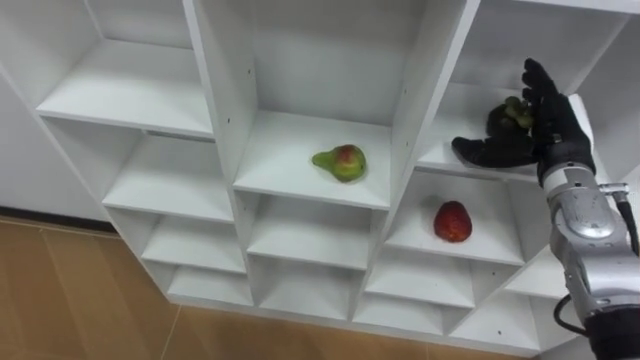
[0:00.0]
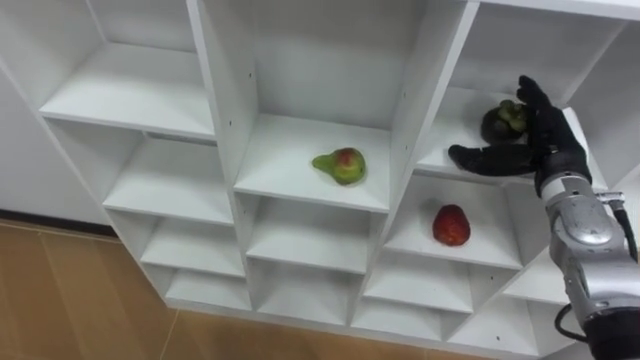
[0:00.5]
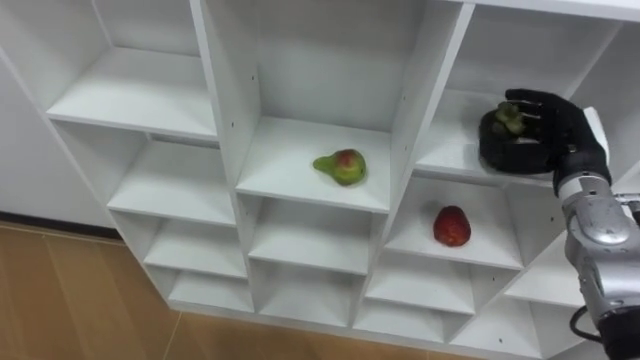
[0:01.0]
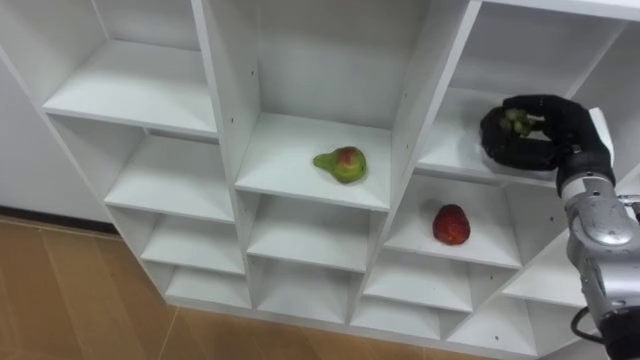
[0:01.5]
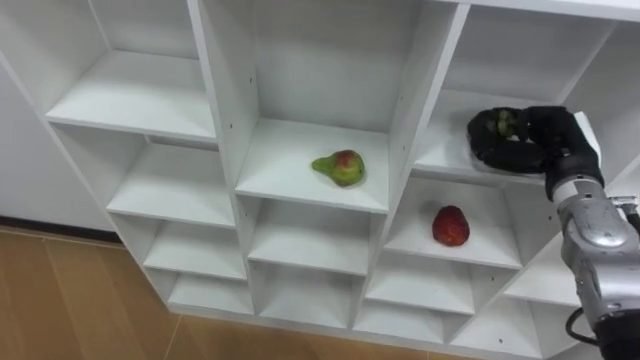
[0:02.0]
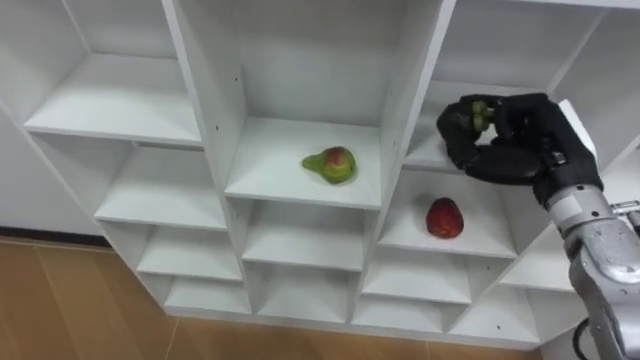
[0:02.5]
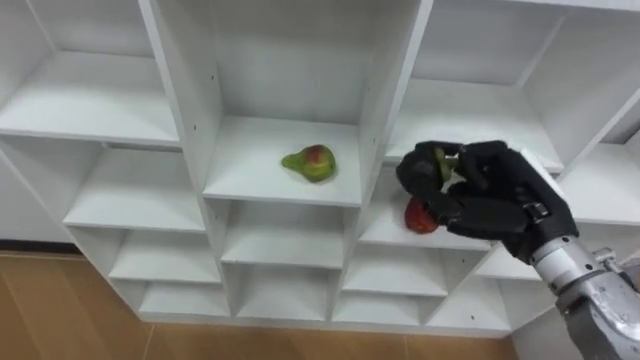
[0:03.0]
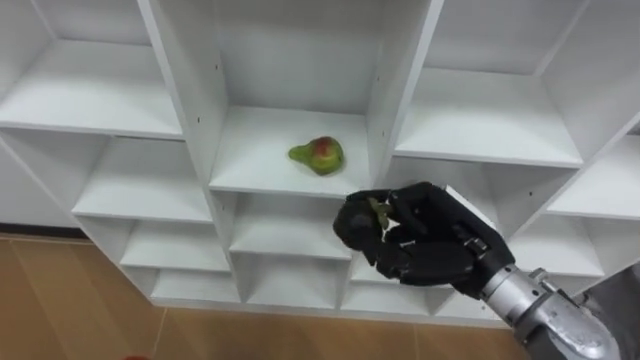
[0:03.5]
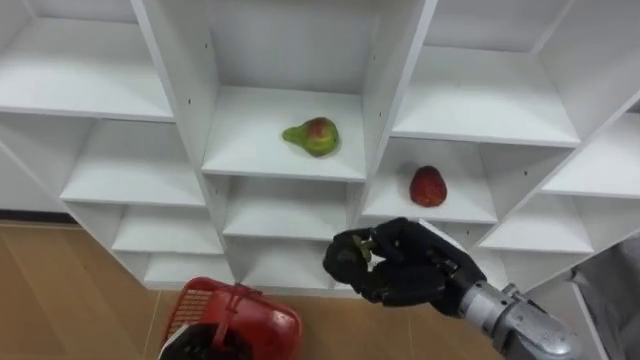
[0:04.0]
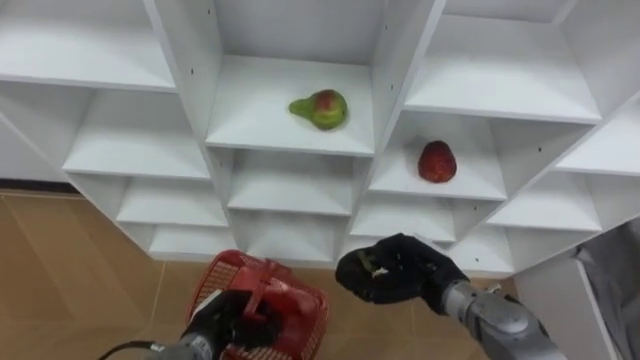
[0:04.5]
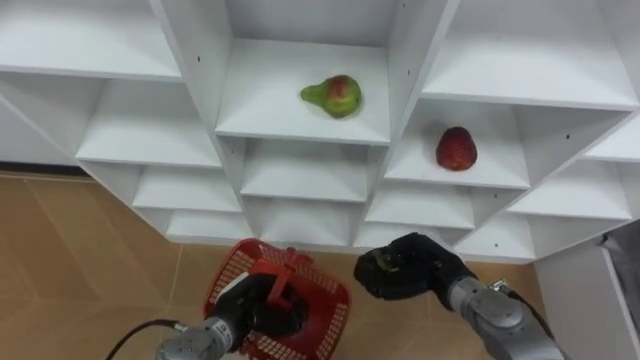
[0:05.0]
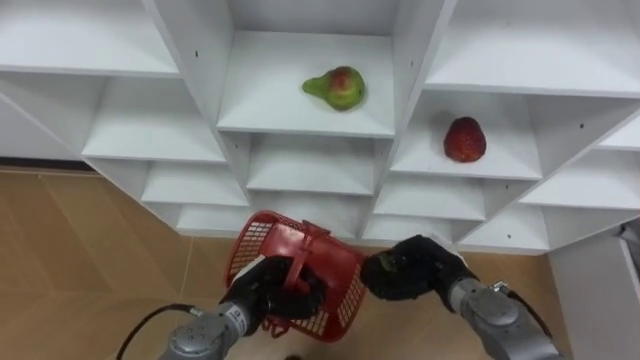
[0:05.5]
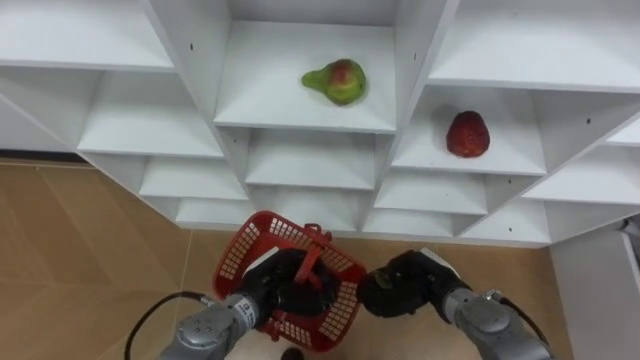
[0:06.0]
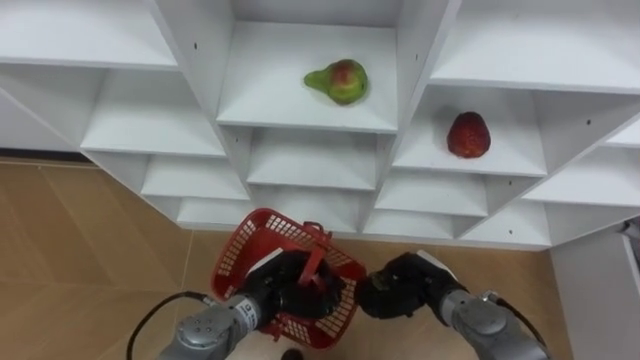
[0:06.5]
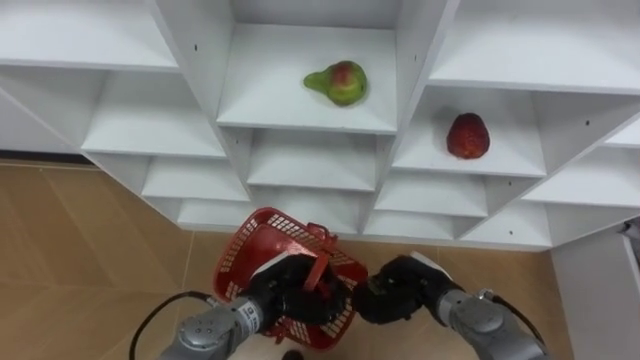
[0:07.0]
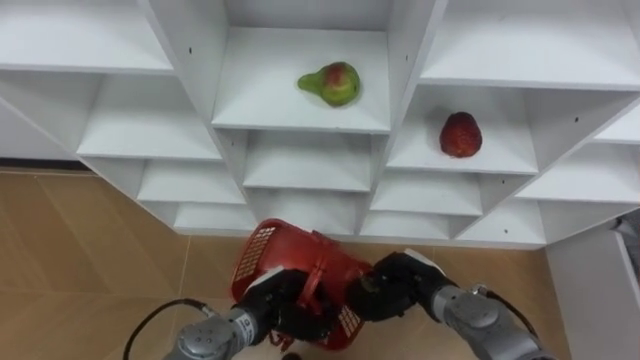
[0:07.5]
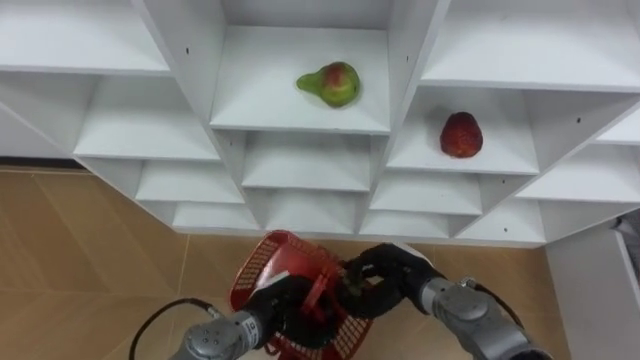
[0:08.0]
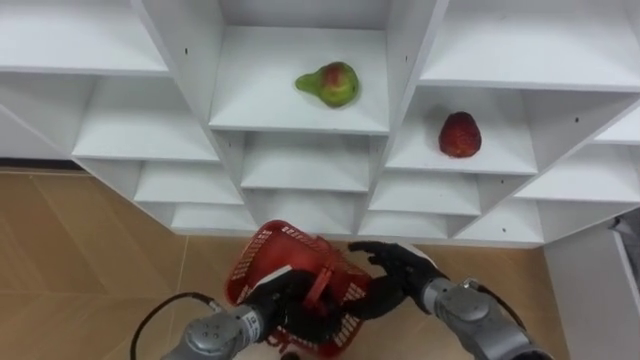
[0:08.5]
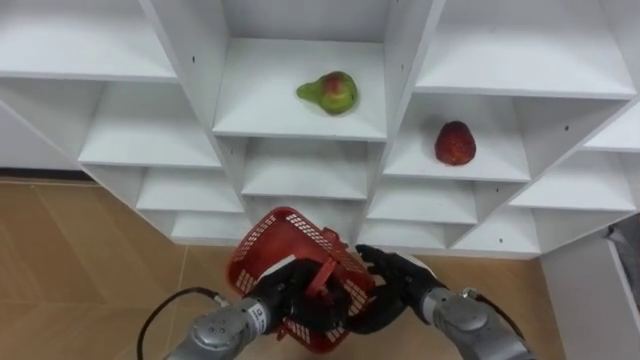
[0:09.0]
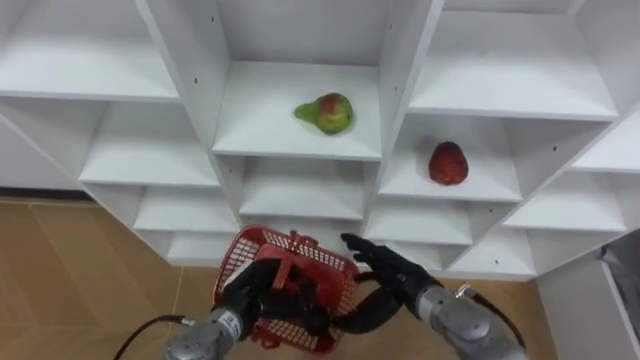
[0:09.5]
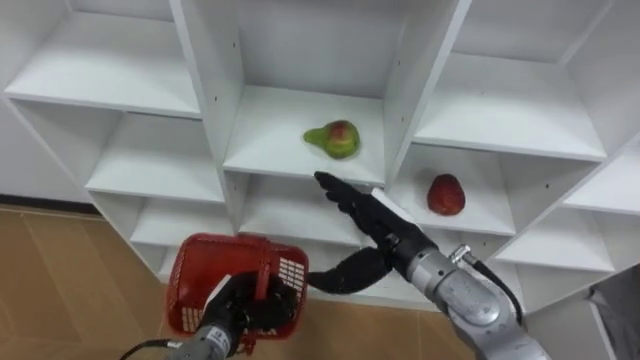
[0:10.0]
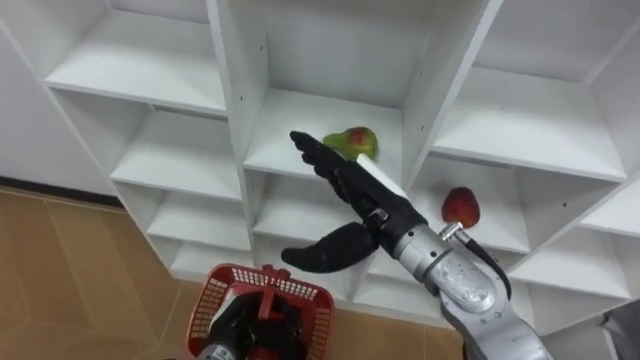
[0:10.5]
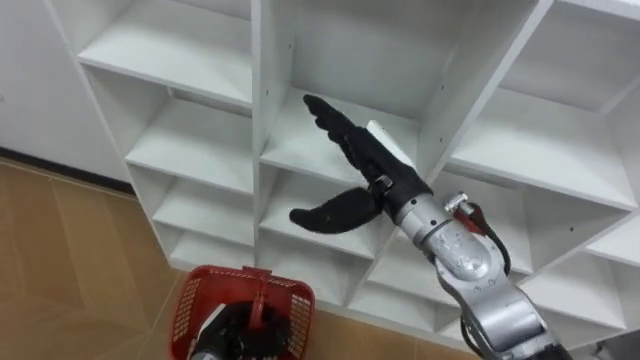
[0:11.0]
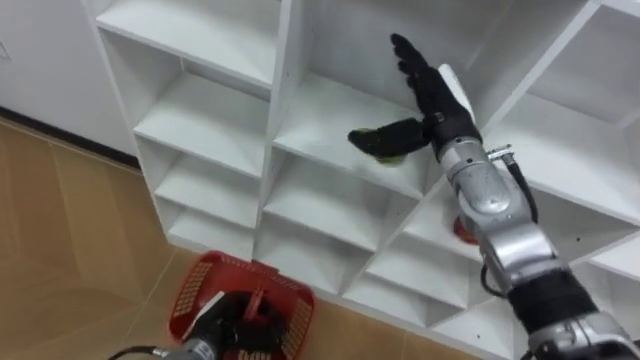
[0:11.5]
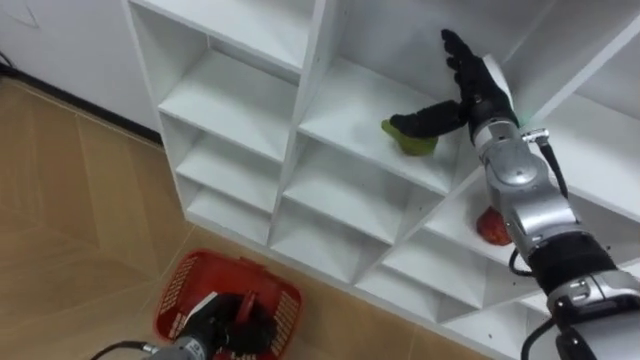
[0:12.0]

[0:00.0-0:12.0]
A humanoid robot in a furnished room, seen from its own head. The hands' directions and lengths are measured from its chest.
Task of the whole recording: Hold the basket and collect the fruits from 3 different cells of the closet into it.
0:00.0 to 0:02.0: The right hand closes its fingers.
0:02.0 to 0:04.0: The right hand shifts approximately 20 cm to the left and backward.
0:04.0 to 0:06.0: The right hand travels downward by approximately 10 cm, while the left hand shifts some 15 cm to the right, forward and upward.
0:06.0 to 0:08.0: The hands stay close to where they were, moving slightly.
0:08.0 to 0:10.0: The left hand moves to the left, approximately 5 cm. The right hand goes some 10 cm upward, and opens up.
0:10.0 to 0:12.0: The right hand travels forward, to the right and upward by about 20 cm.

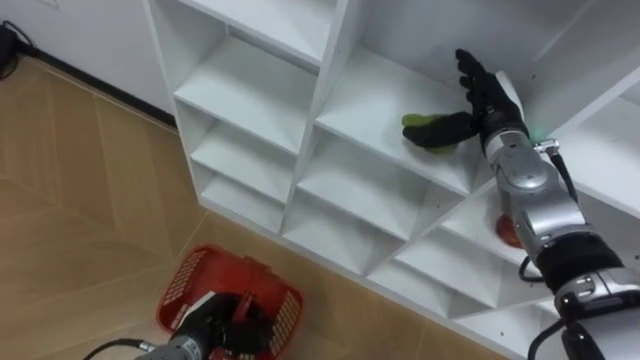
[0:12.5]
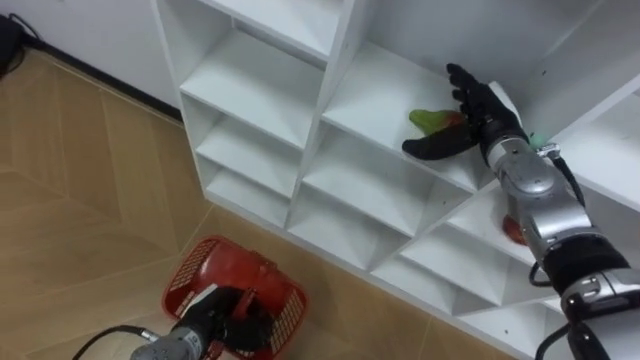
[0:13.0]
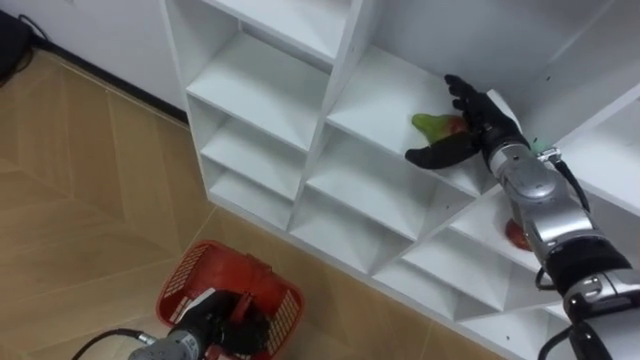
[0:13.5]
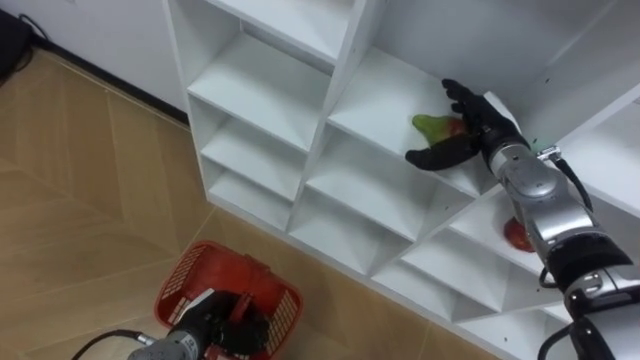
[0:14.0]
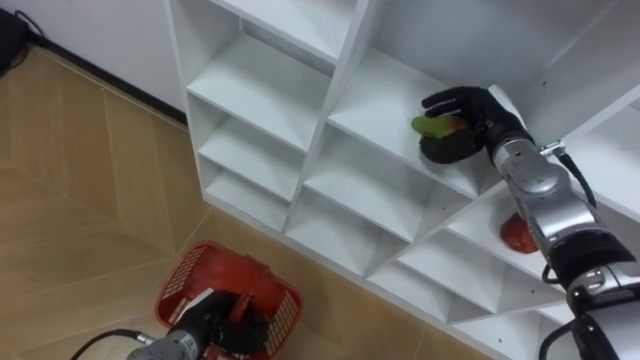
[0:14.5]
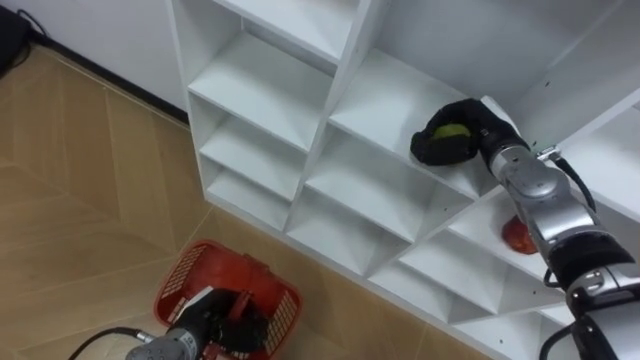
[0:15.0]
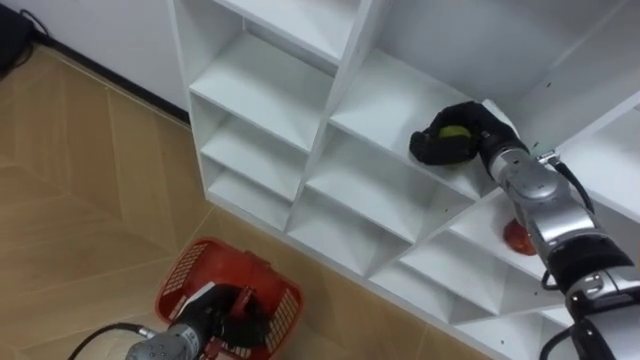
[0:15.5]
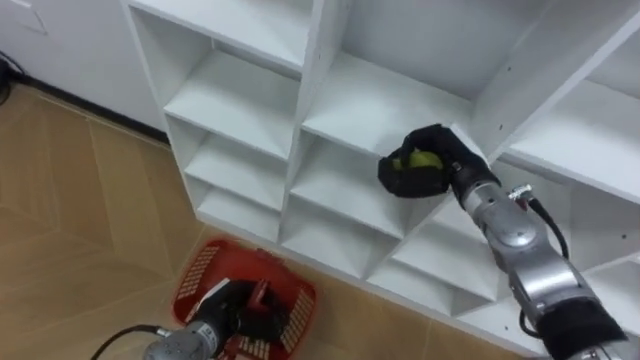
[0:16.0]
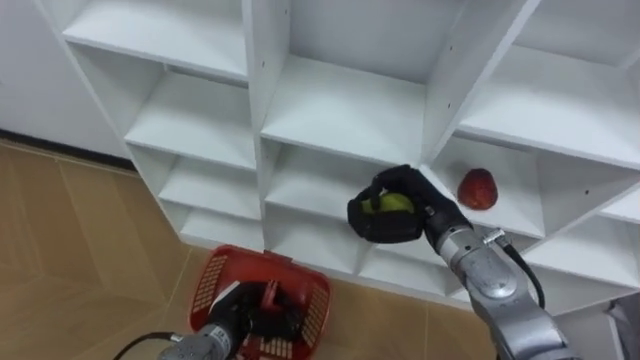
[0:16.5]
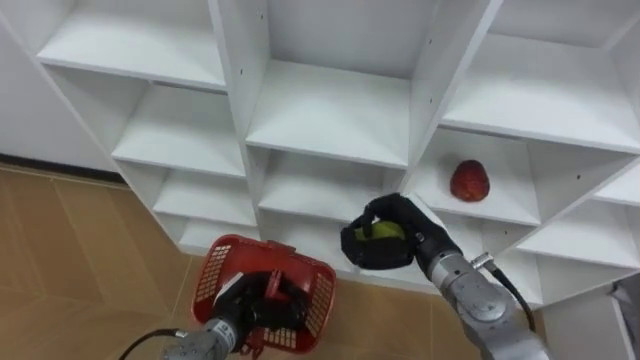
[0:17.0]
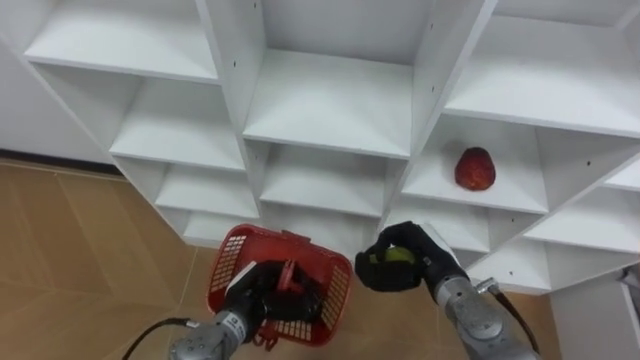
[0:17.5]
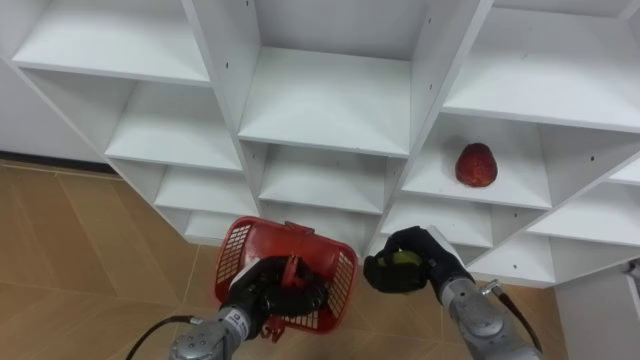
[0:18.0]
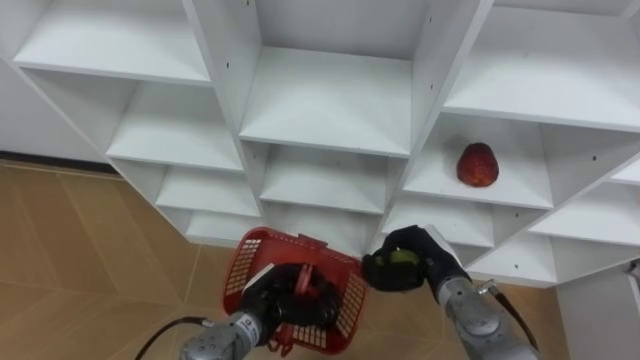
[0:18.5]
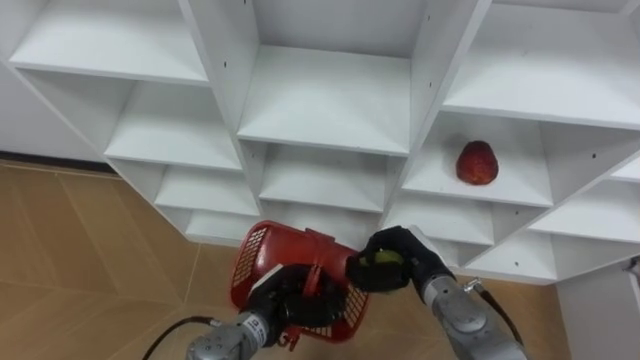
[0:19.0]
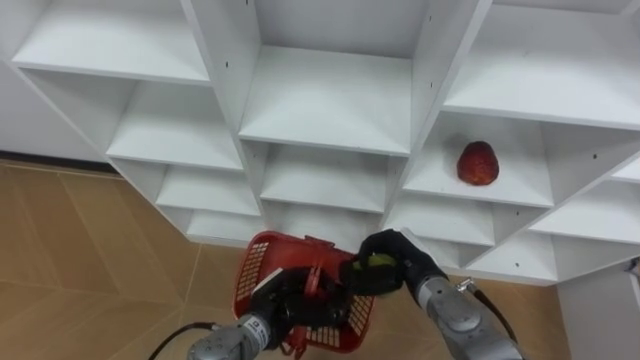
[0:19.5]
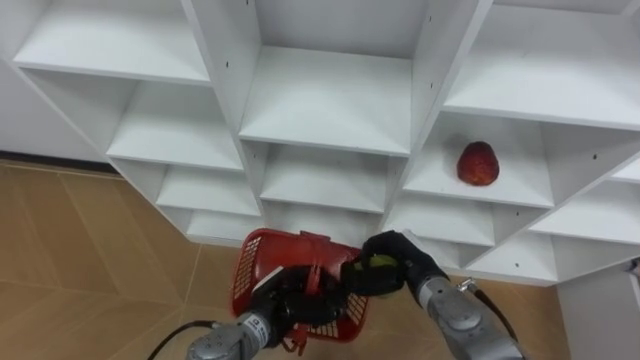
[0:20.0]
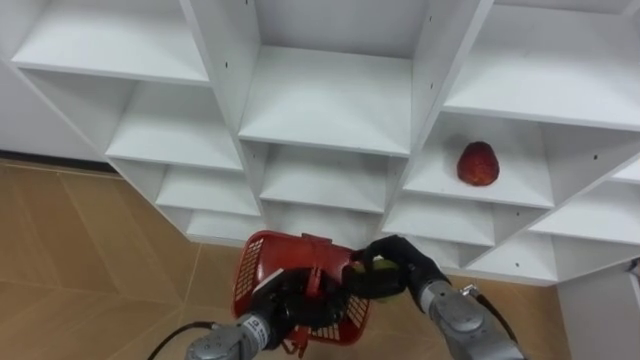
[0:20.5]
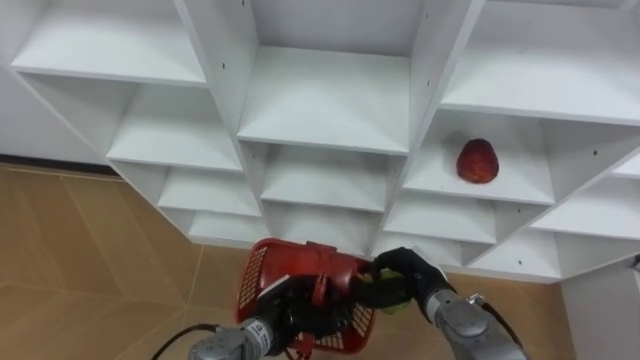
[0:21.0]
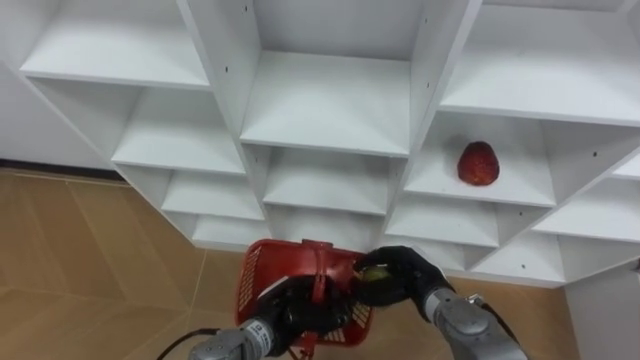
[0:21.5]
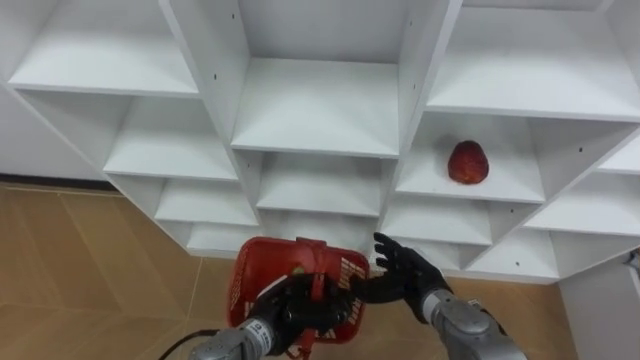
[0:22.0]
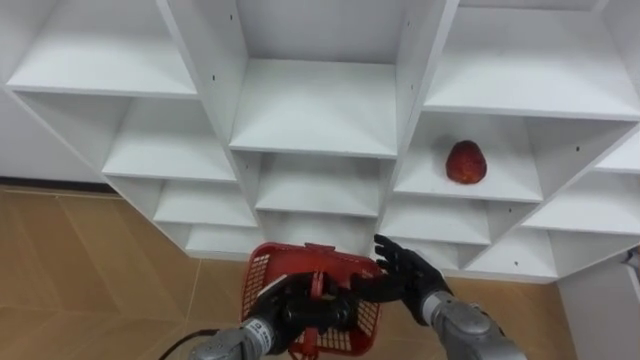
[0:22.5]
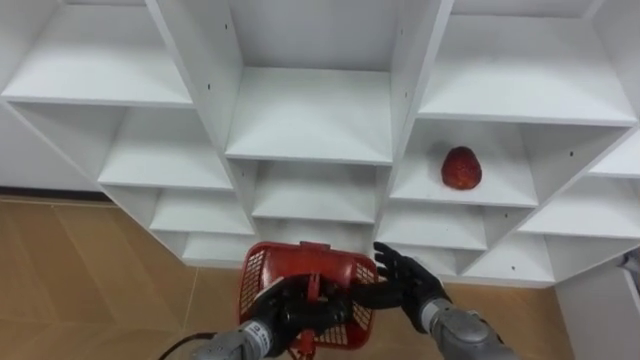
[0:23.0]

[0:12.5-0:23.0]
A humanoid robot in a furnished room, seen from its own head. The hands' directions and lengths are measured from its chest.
Task of the whole recording: Hold the basket and collect the fruits from 3 different cells of the closet into it.
0:12.5 to 0:14.5: The right hand closes.
0:14.5 to 0:16.5: The right hand is displaced backward and to the left by some 15 cm, and closes up.
0:16.5 to 0:19.0: The left hand heads to the right, covering approximately 5 cm. The right hand shifts about 10 cm downward.
0:19.0 to 0:21.0: The hands stay close to where they were, moving slightly.
0:21.0 to 0:23.0: The right hand opens up.
